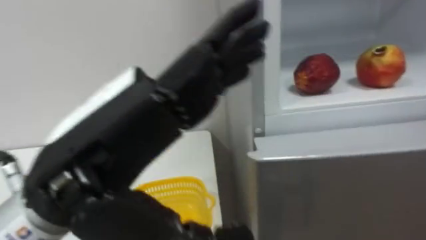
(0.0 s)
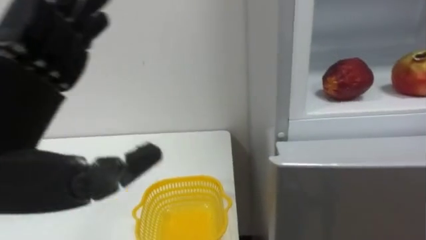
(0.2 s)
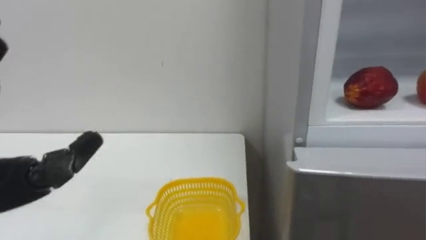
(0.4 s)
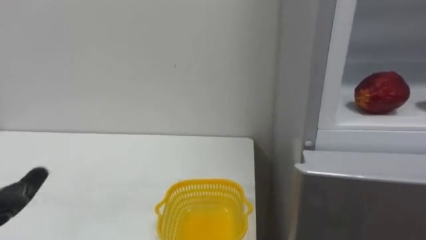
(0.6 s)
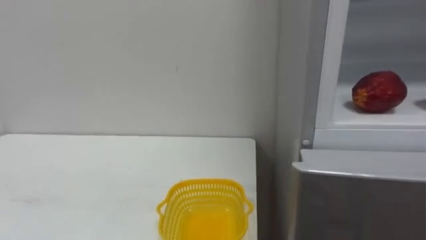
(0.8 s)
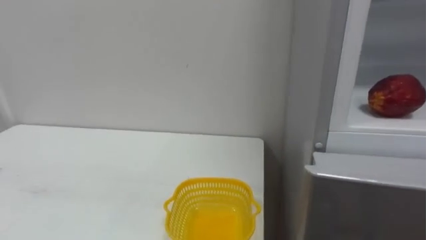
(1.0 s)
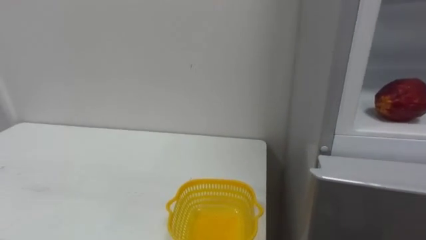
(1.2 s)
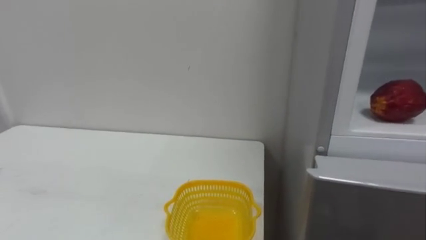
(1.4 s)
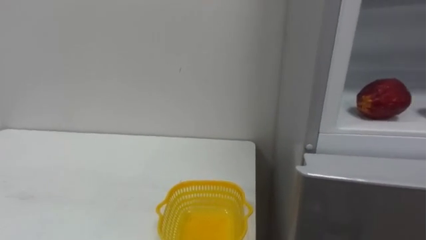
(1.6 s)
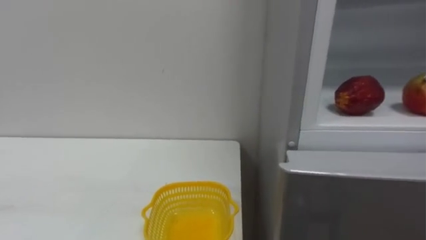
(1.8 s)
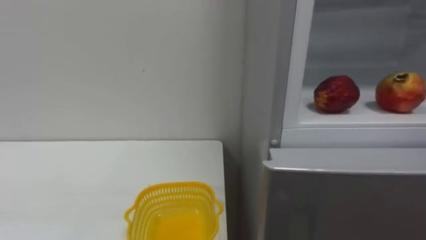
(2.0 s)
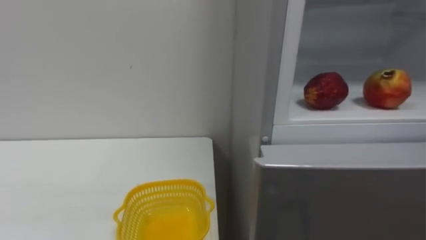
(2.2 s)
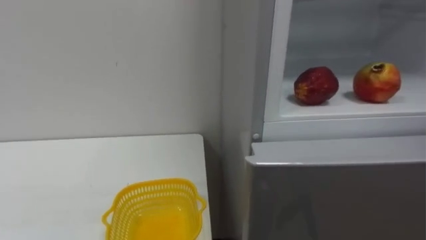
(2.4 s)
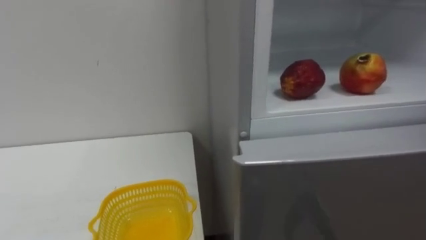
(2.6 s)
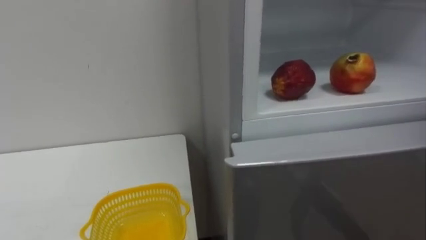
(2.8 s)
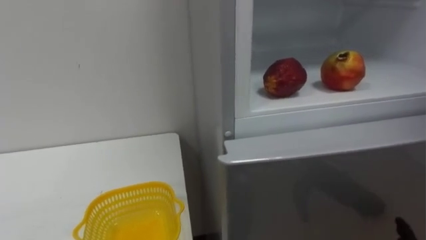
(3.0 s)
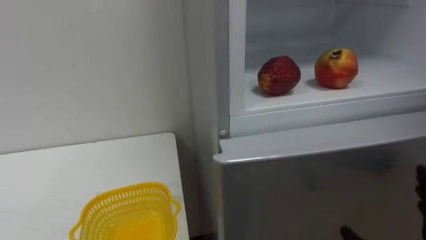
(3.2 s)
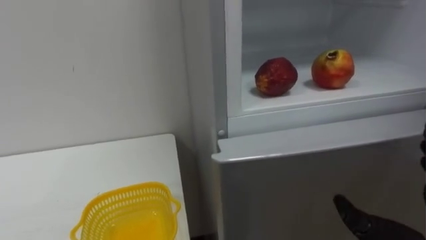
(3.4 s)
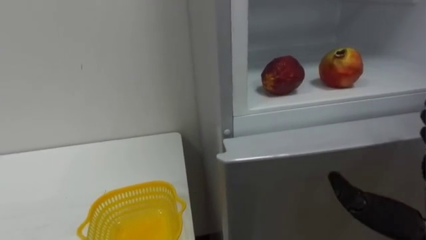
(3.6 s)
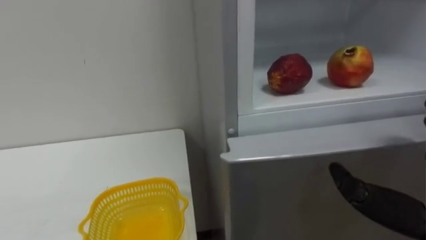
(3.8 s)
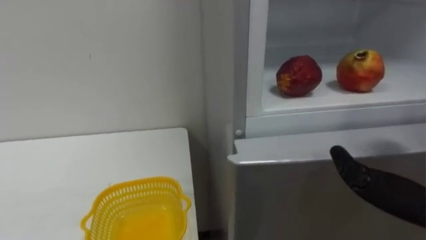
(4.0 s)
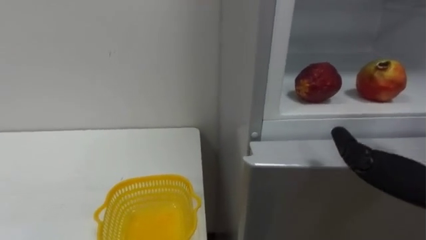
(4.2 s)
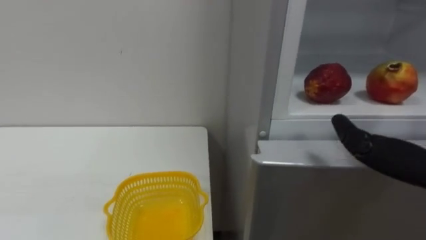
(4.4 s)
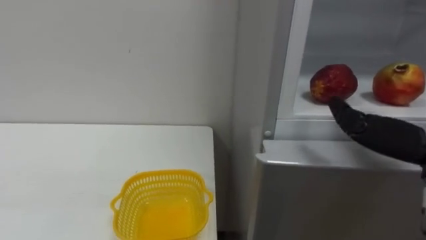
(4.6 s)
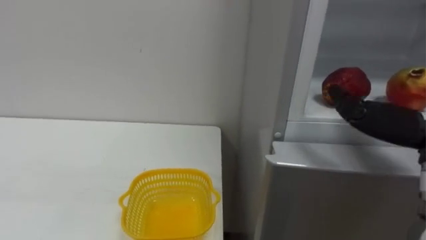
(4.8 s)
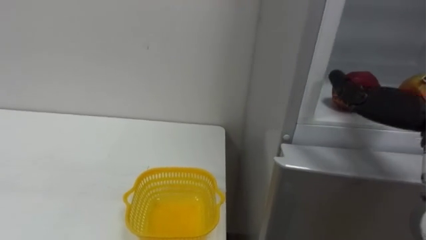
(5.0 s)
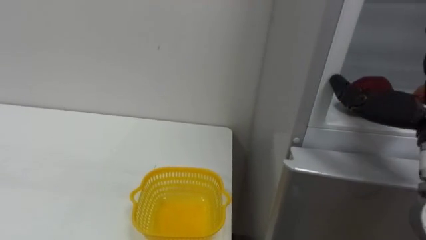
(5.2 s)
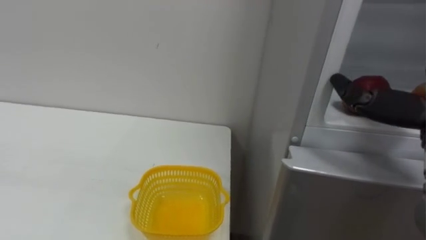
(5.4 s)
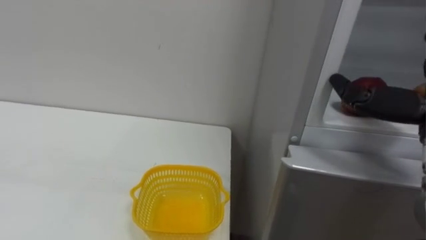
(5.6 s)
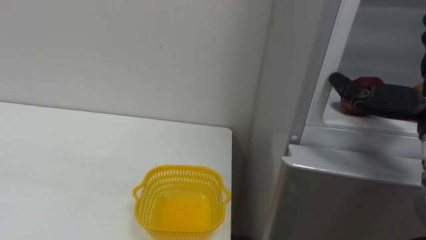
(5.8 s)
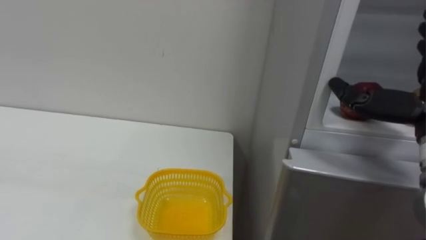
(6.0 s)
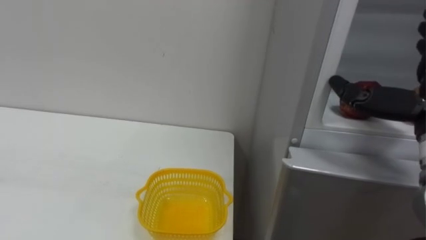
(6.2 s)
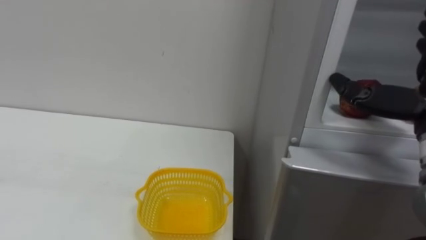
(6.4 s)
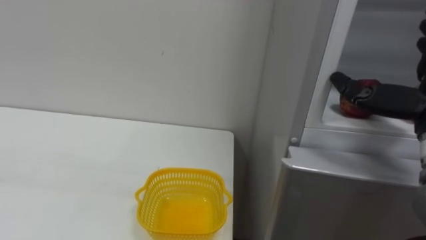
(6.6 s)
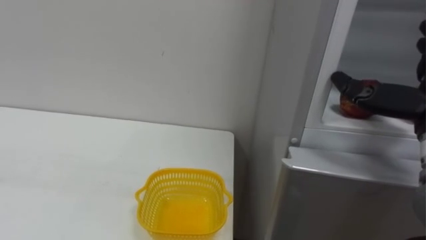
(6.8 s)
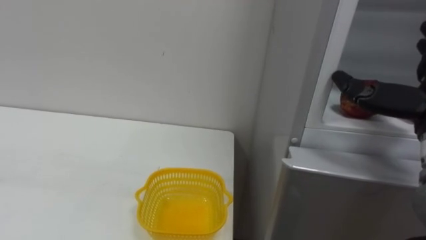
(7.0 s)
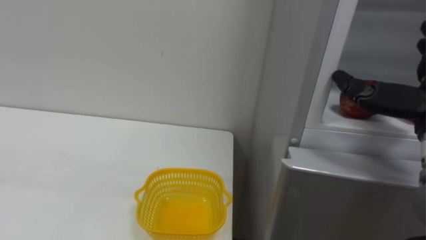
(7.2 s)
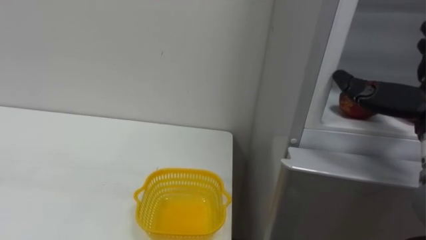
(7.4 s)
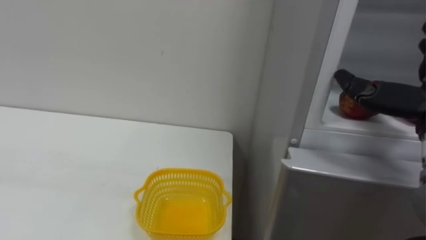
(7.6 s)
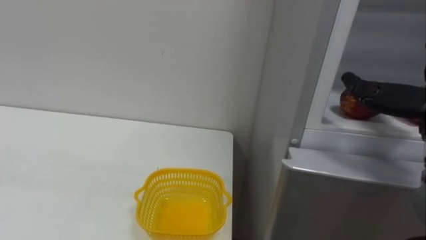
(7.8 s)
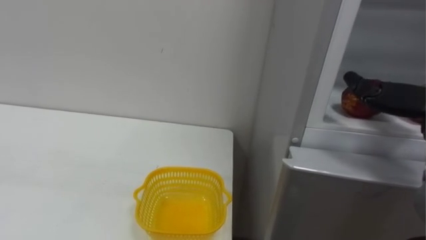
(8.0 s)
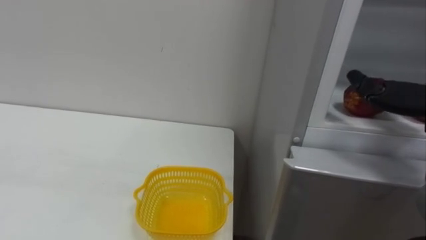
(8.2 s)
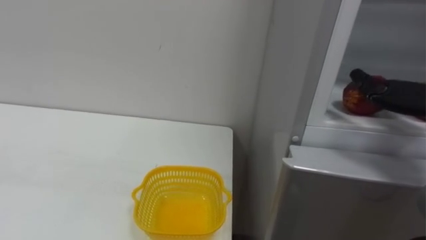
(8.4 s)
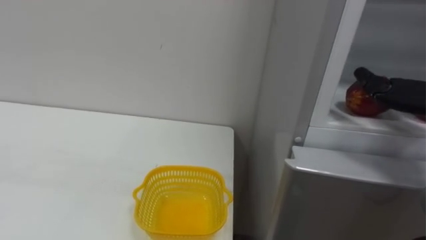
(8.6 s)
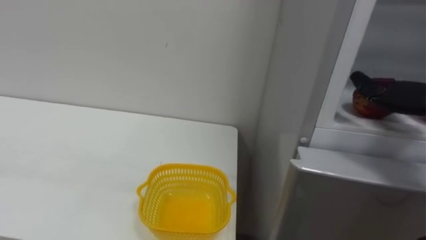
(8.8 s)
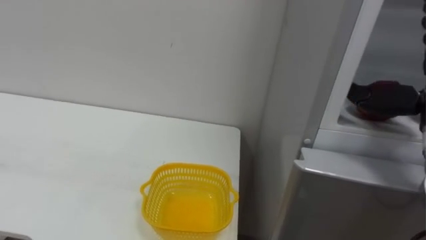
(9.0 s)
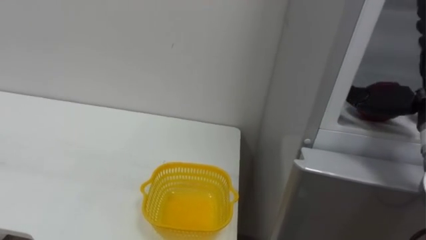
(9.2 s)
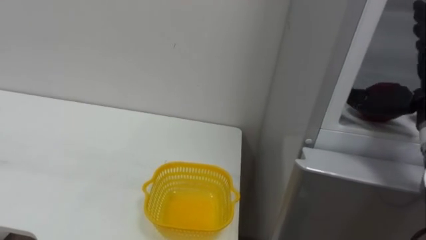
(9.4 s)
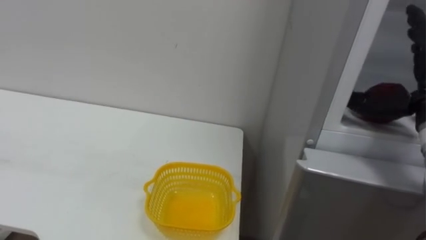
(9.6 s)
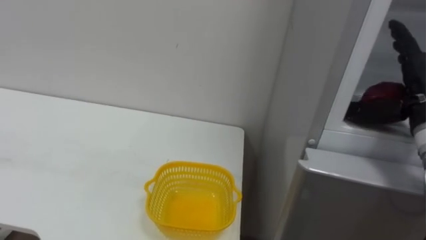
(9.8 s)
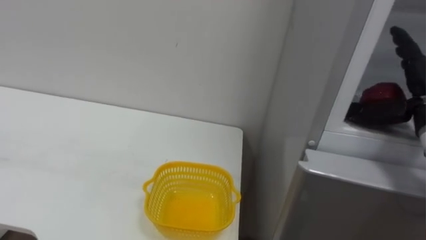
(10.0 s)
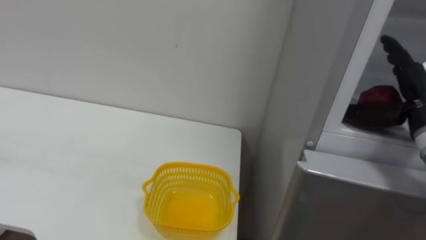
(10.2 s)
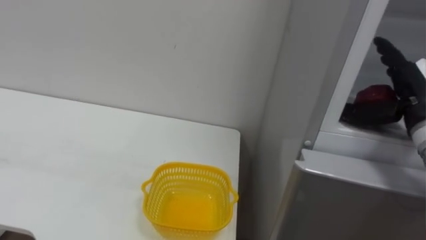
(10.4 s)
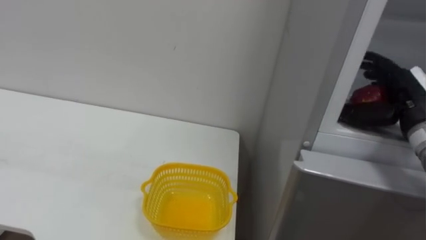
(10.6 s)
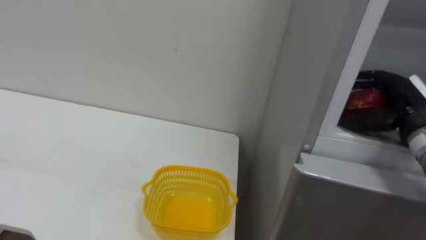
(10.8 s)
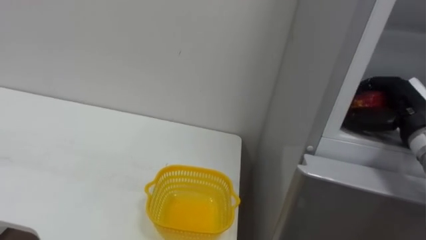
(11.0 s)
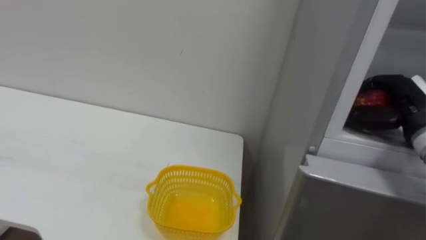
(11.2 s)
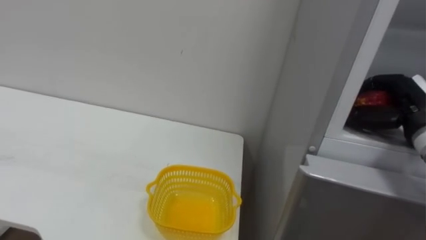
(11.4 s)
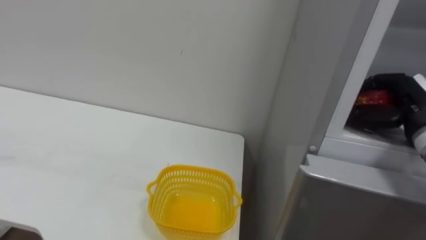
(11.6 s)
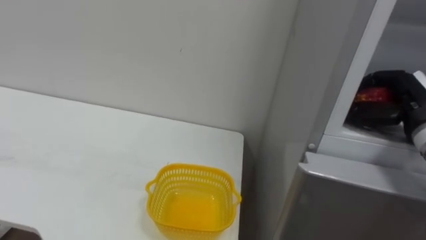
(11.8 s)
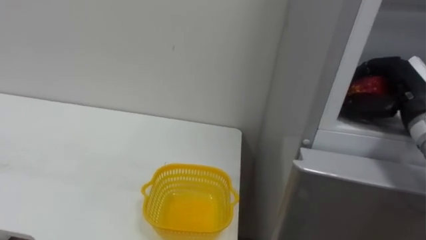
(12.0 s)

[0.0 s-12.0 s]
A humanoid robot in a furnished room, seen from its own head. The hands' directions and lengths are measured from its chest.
Task of the whole recording: Open the refrigerator door, take out the apple and the pomegranate, place them in the fruit basket on the left, and close the refrigerator door.
10.4 to 12.0 s: The right hand closes.

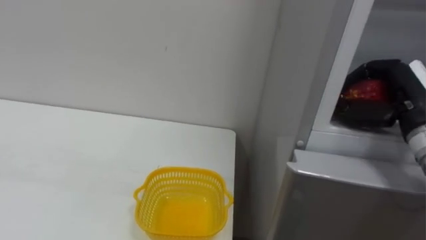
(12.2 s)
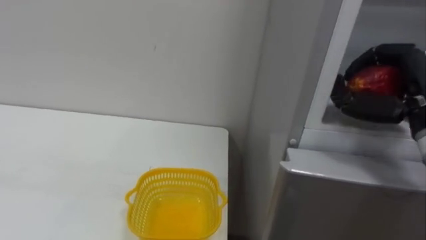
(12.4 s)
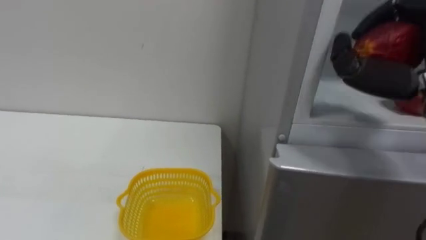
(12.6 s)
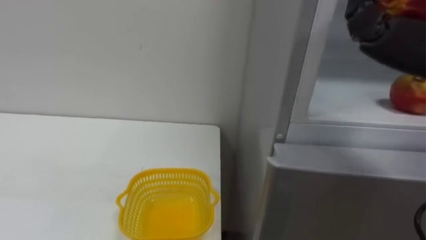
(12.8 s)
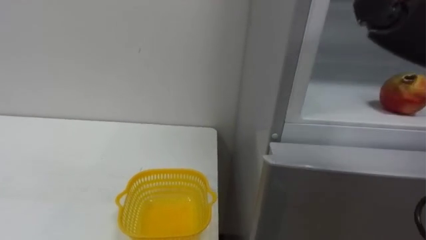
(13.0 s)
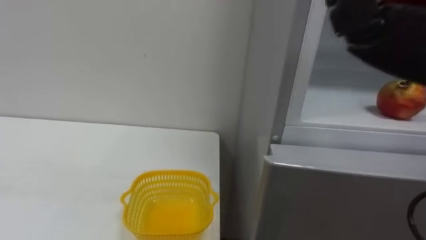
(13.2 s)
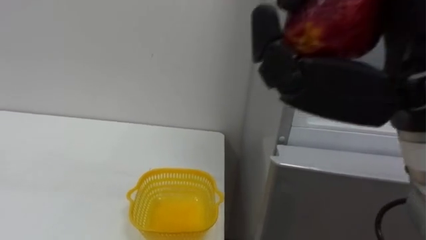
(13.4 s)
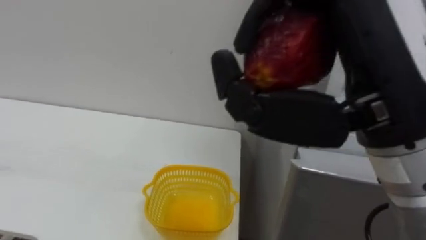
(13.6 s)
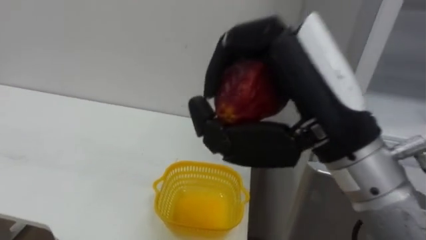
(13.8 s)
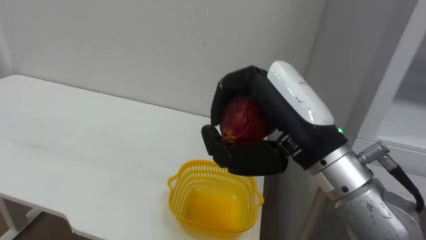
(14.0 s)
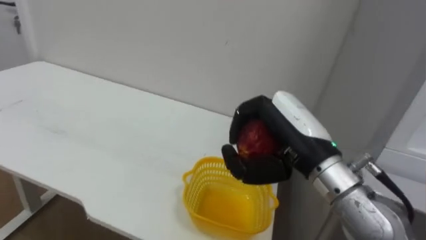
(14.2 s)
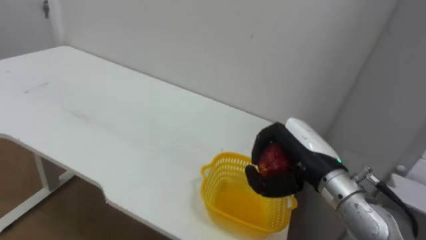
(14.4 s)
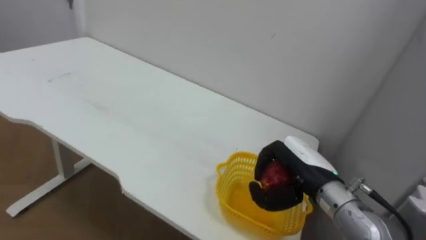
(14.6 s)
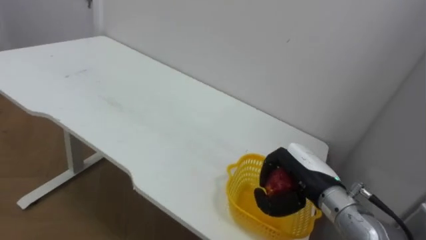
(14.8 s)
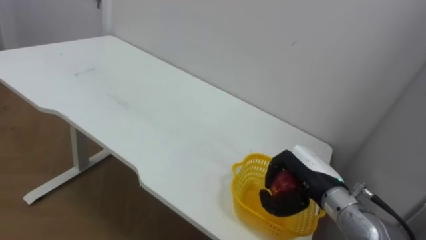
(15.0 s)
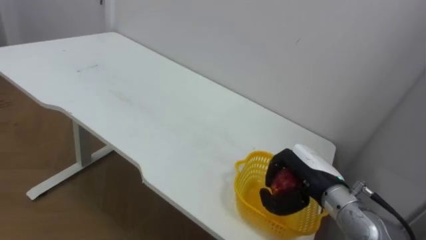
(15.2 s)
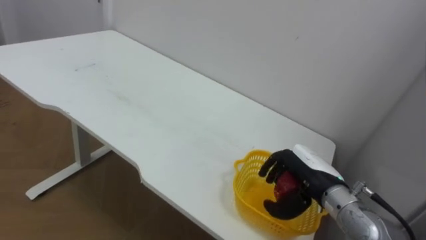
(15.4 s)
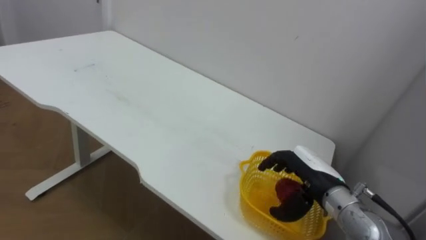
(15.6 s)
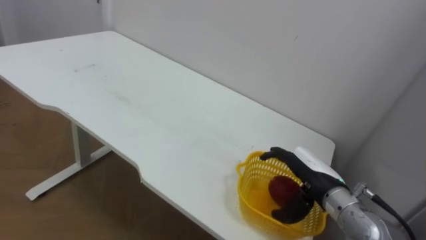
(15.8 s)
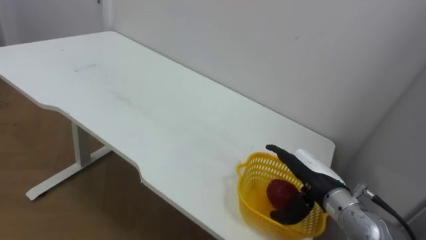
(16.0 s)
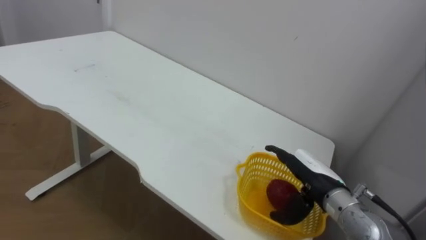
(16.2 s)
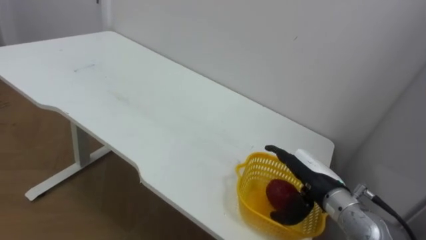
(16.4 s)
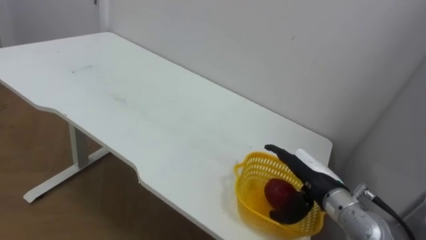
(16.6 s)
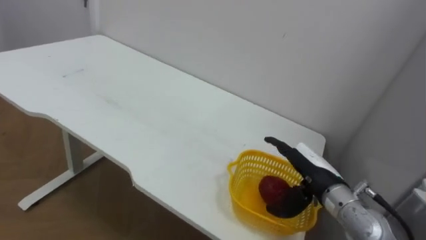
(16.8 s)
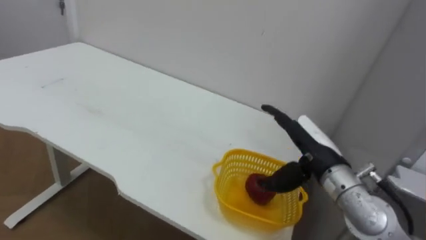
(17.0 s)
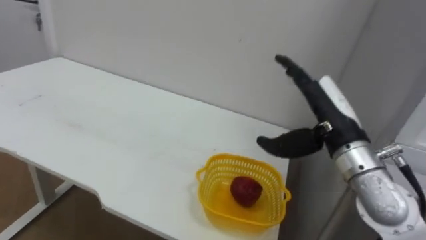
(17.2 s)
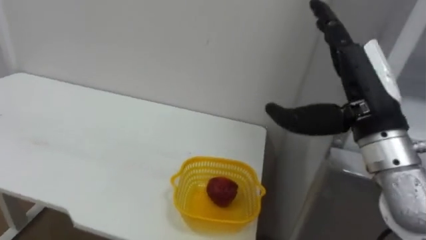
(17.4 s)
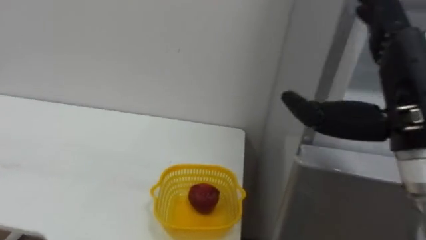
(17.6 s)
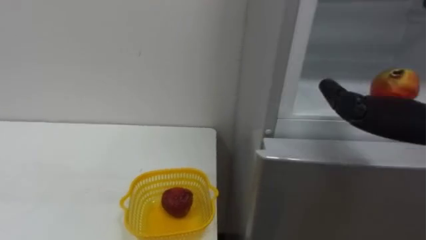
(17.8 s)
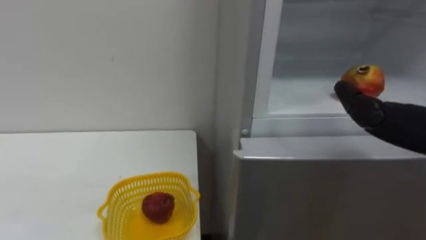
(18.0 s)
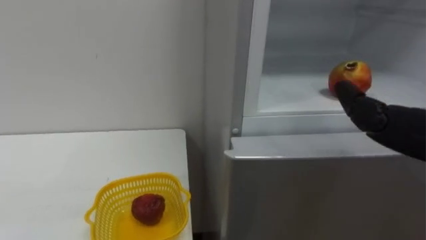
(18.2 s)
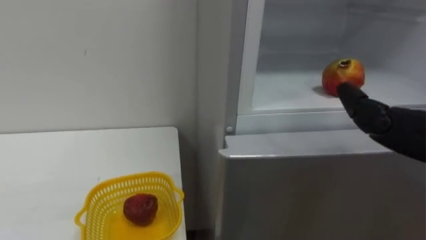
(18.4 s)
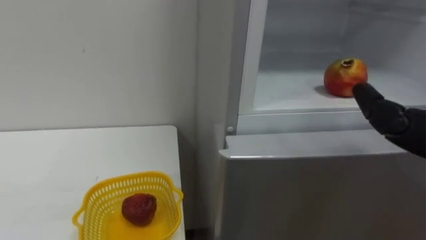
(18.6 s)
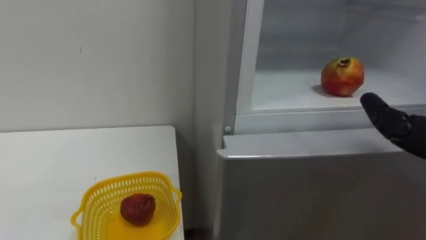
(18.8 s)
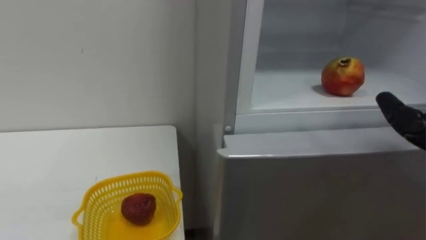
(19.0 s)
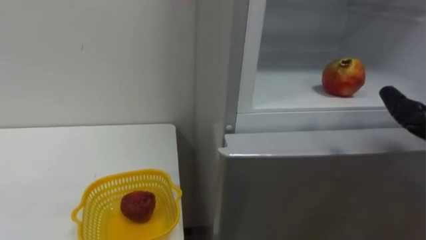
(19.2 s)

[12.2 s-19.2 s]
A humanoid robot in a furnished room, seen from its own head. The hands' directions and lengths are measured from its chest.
Task of the whole recording: Open the refrigerator door, take out the apple and the pomegranate, place them in the fruit basket on the left, and close the refrigerator door.
13.6 to 15.0 s: The right hand goes about 30 cm downward and forward.
15.0 to 16.4 s: The right hand opens up.
